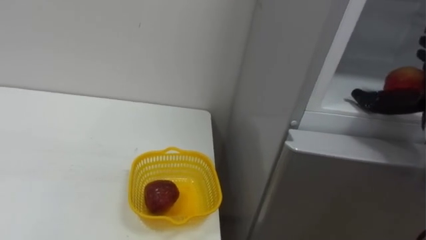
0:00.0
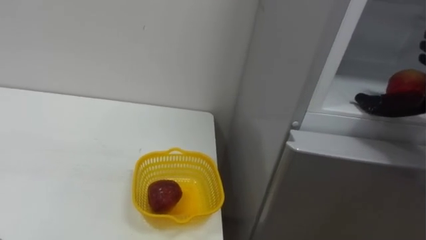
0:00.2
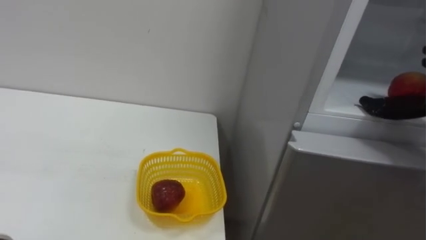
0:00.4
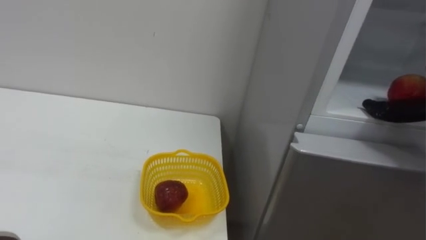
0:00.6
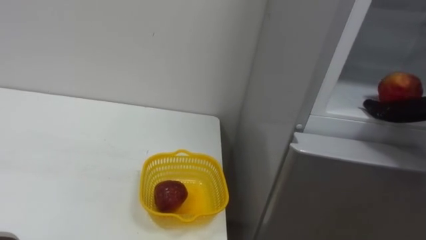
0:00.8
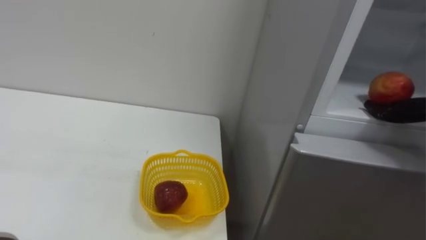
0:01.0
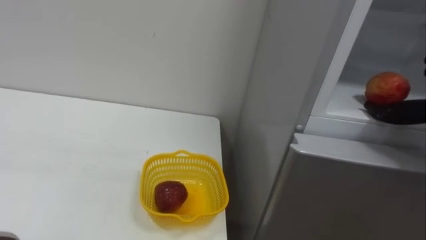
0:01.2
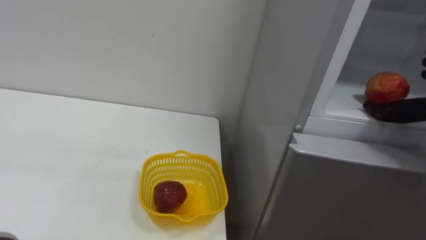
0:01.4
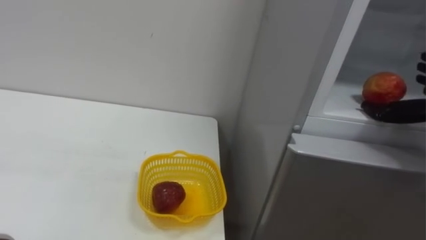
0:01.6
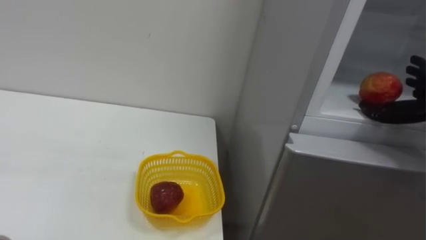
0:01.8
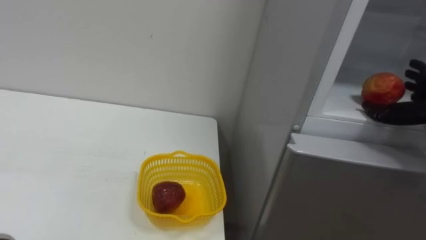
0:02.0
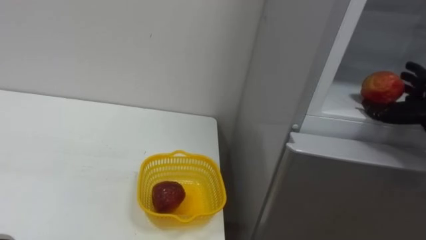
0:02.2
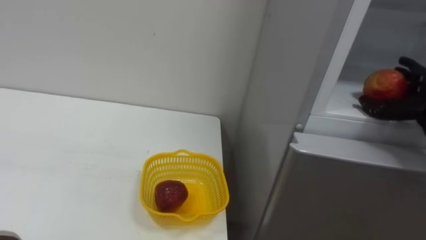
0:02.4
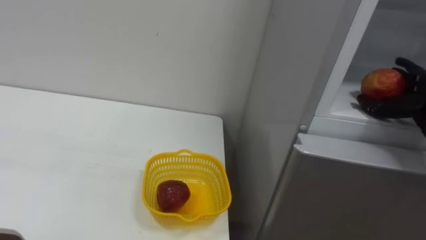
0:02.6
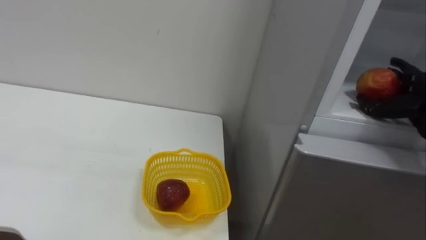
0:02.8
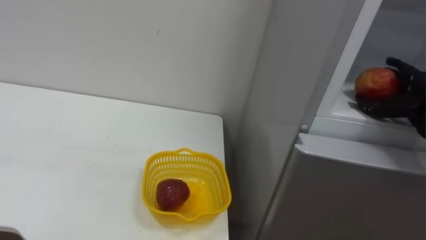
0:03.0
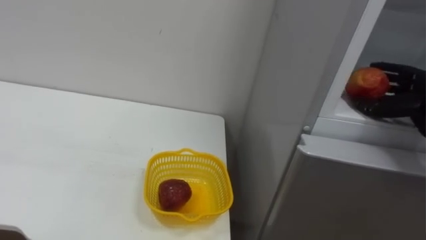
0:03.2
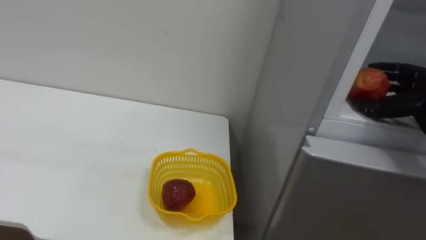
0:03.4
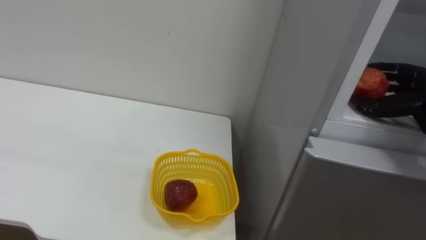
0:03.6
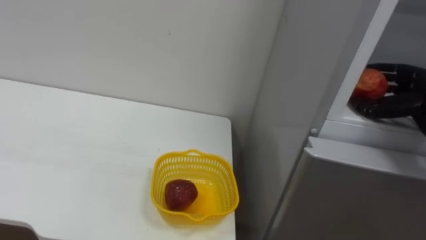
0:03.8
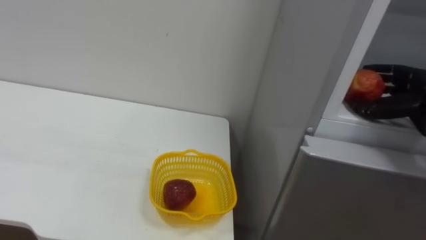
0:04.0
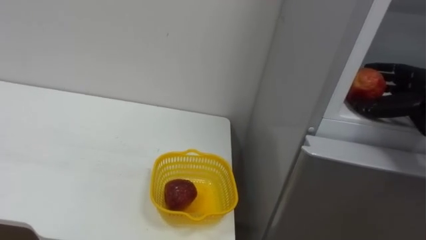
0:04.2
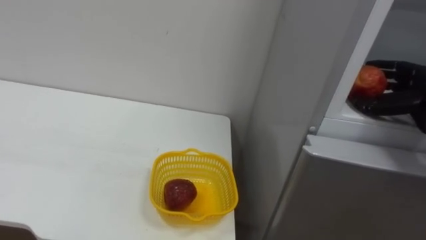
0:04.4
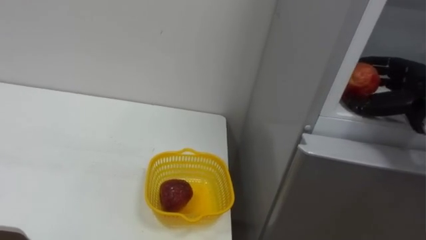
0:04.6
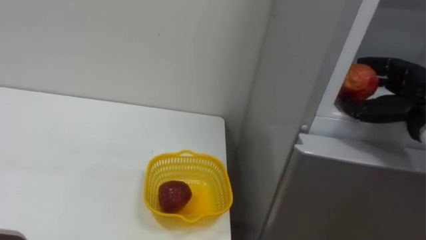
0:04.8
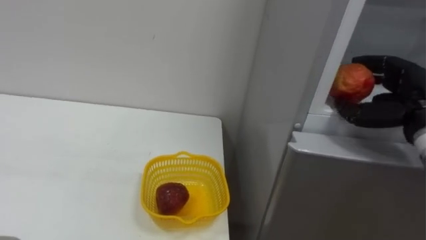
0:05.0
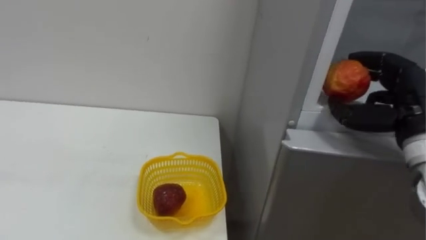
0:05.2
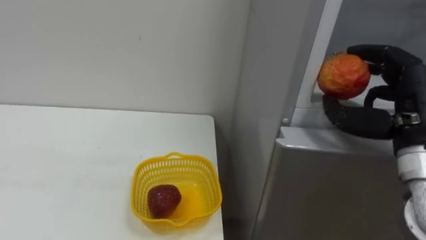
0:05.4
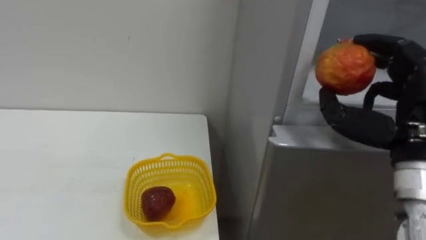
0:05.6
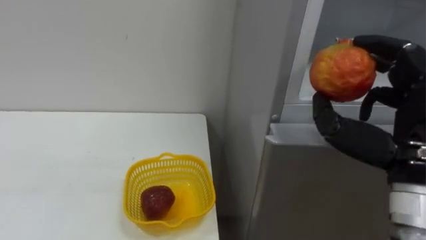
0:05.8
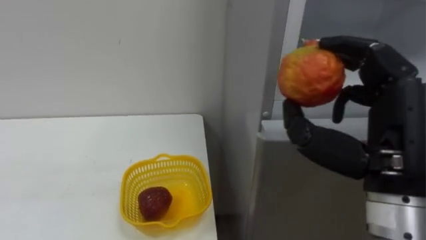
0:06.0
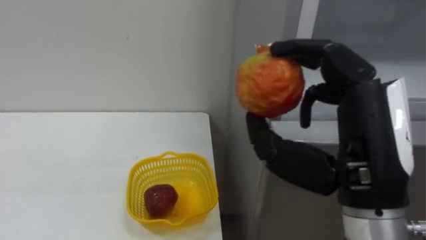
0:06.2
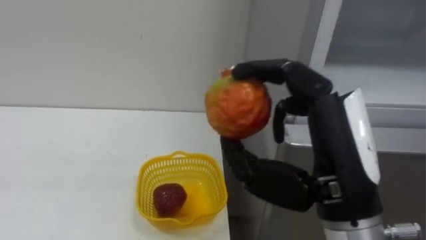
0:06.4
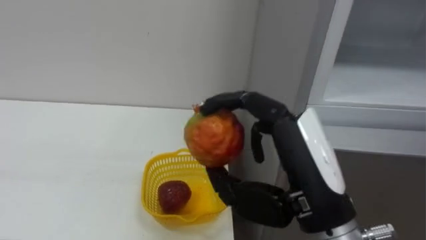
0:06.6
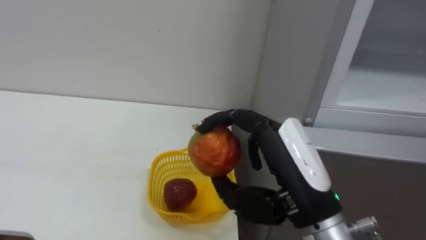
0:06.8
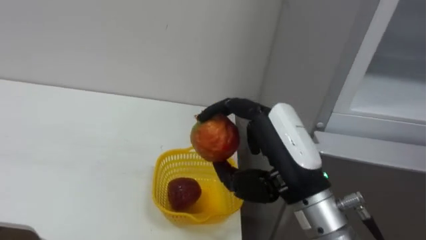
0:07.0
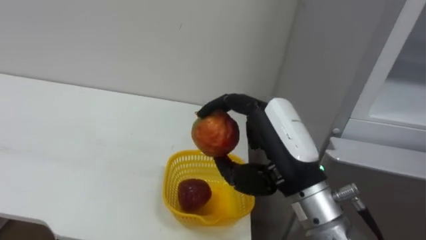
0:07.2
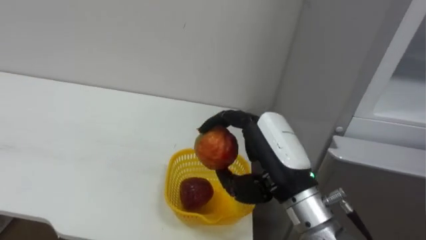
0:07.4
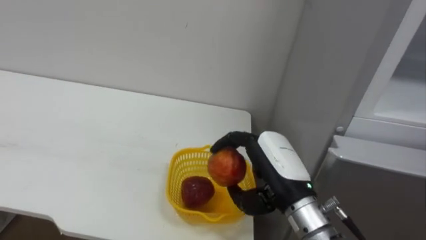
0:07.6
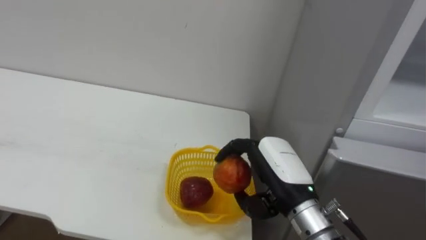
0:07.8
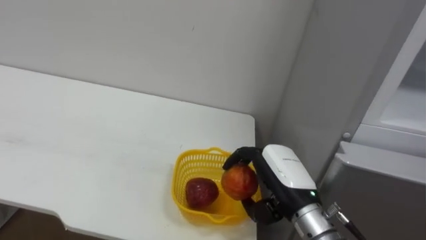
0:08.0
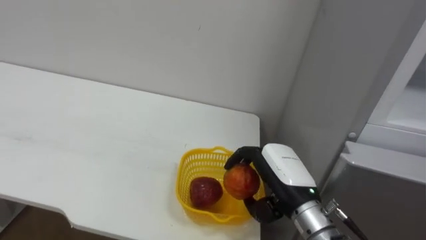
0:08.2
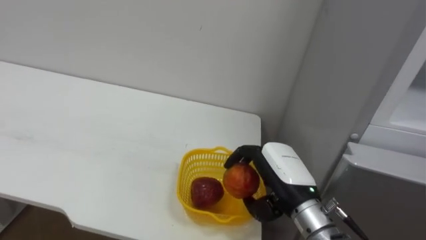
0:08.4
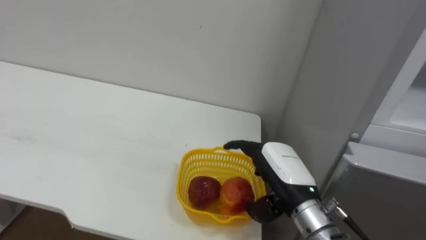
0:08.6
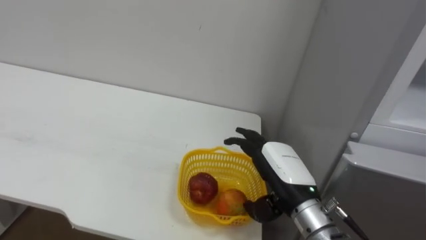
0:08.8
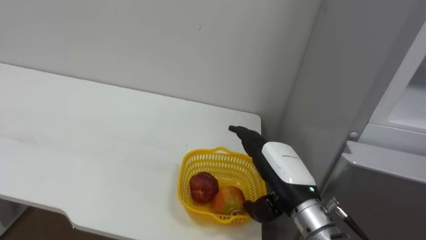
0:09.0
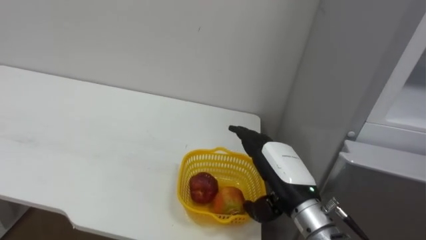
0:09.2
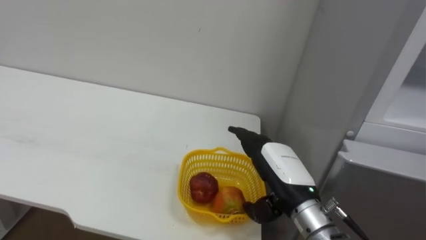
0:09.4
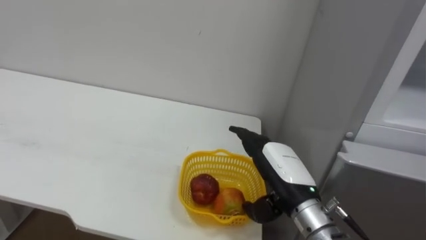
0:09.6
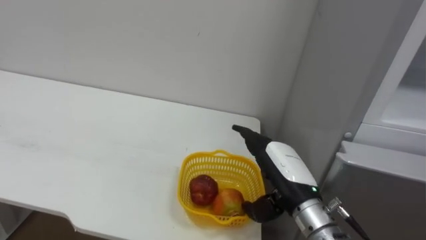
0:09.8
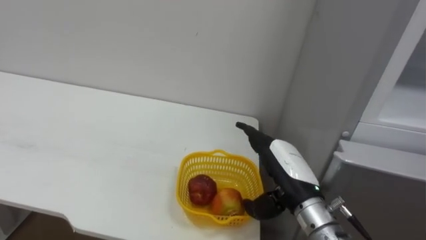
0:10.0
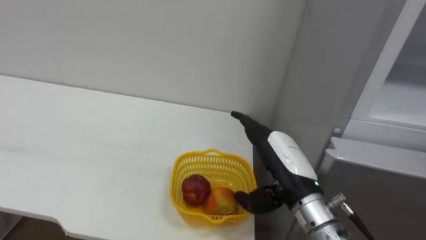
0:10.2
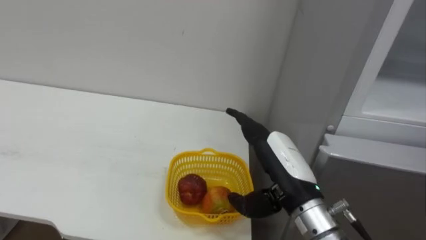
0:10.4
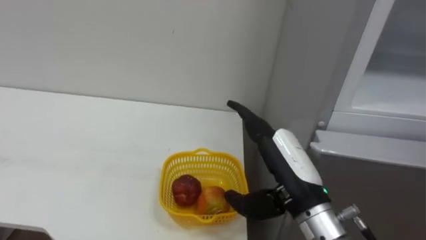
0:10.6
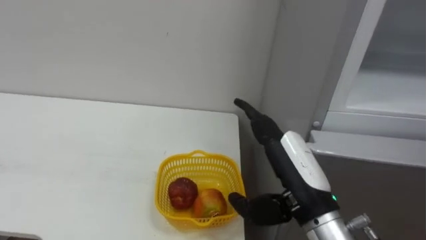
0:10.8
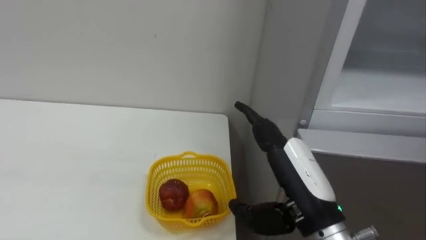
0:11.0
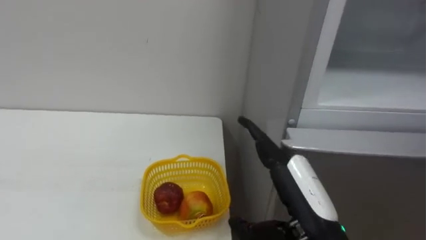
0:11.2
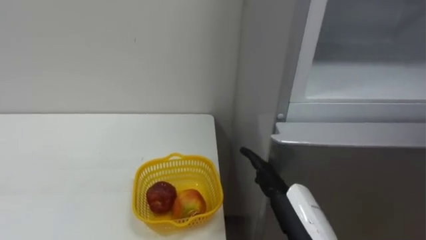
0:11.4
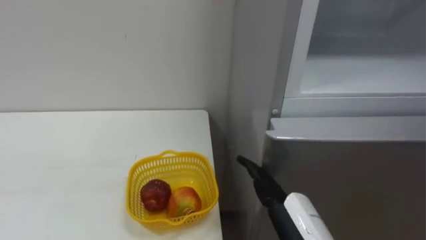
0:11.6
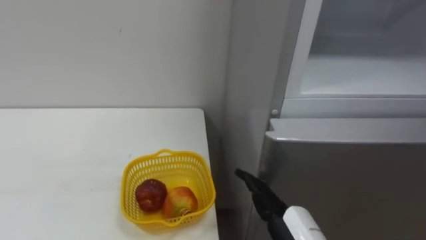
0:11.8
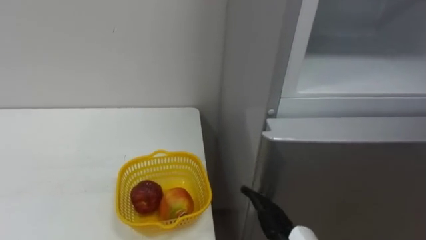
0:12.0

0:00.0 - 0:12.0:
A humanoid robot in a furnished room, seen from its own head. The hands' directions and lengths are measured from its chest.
Task of the whole recording: Open the refrigerator door, take out the apple and the pomegranate, place them in the fruit basket on the left, and close the refrigerator door.
0:03.0 - 0:04.4: The right hand closes its fingers.
0:04.4 - 0:06.0: The right hand travels backward and to the left by roughly 20 cm.
0:06.0 - 0:07.6: The right hand moves downward, to the left and forward, roughly 15 cm.
0:07.6 - 0:09.0: The right hand opens up.

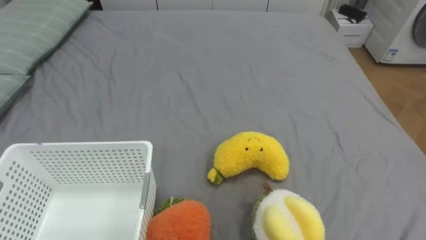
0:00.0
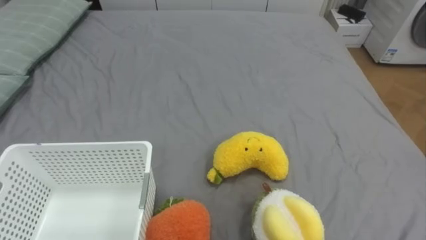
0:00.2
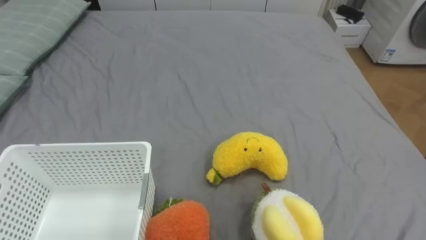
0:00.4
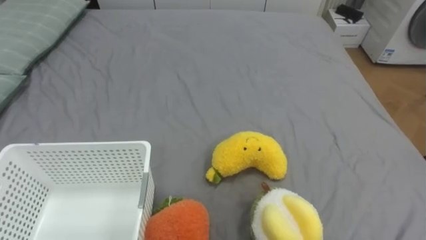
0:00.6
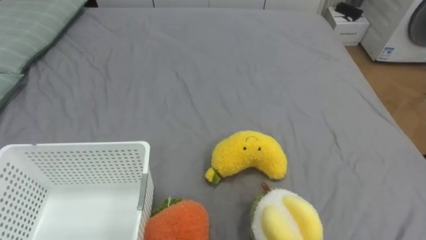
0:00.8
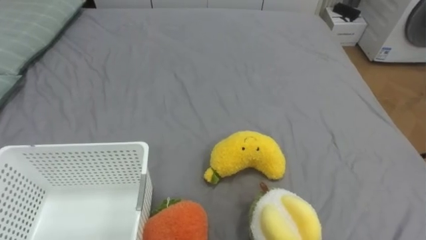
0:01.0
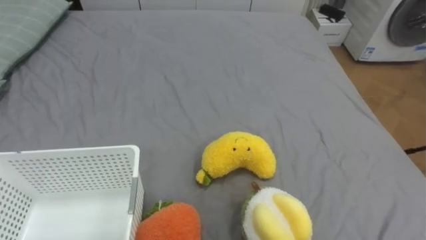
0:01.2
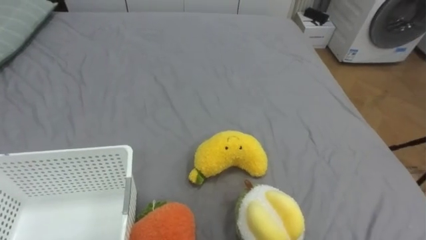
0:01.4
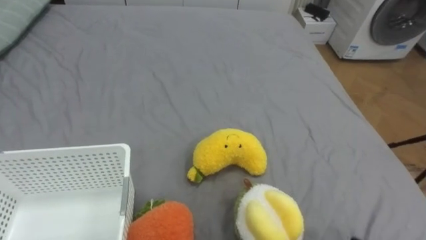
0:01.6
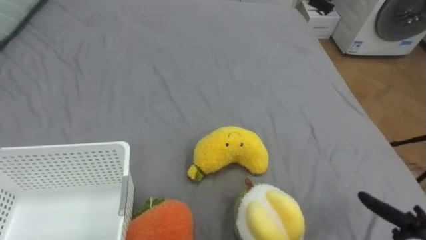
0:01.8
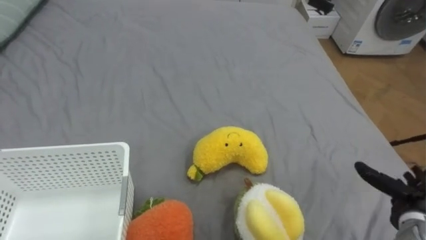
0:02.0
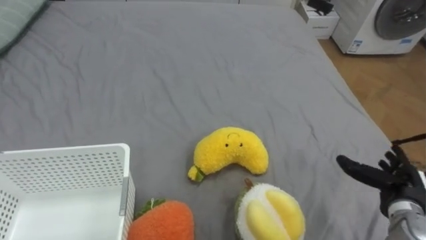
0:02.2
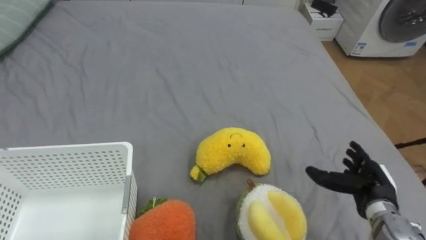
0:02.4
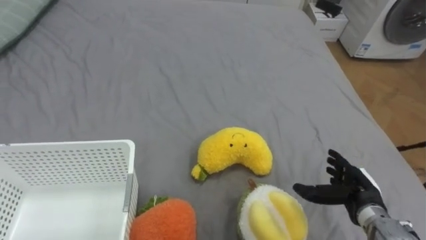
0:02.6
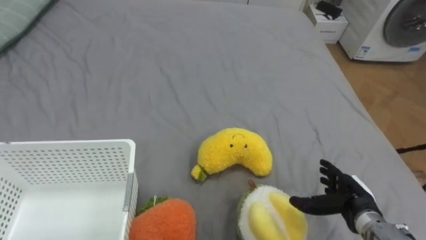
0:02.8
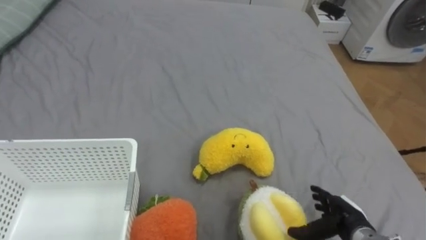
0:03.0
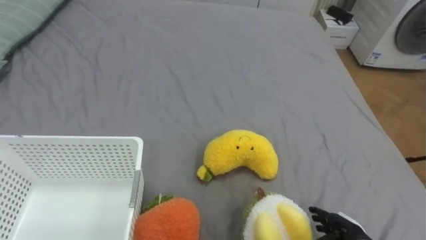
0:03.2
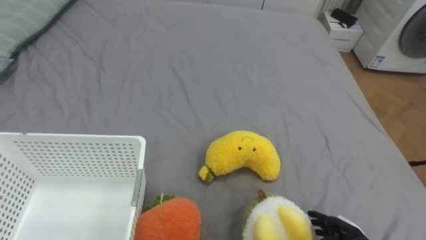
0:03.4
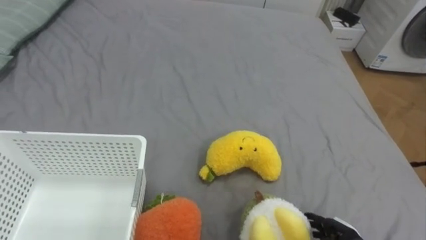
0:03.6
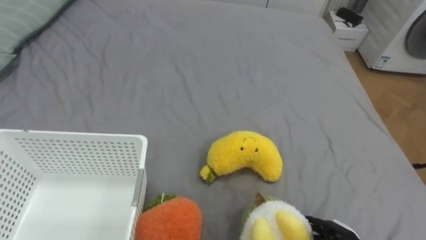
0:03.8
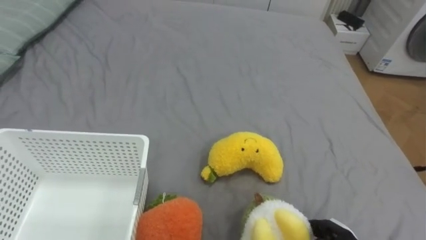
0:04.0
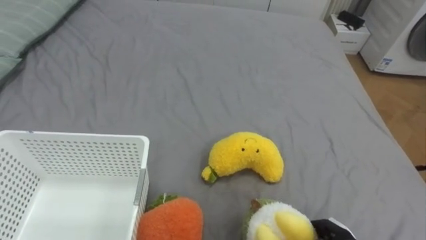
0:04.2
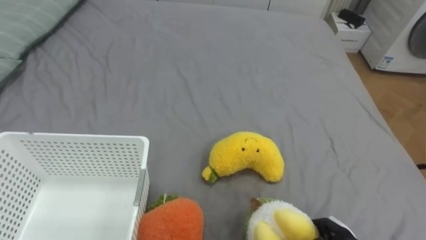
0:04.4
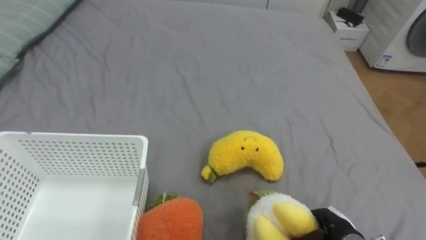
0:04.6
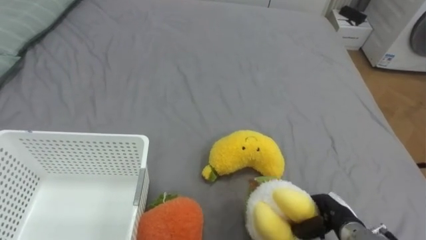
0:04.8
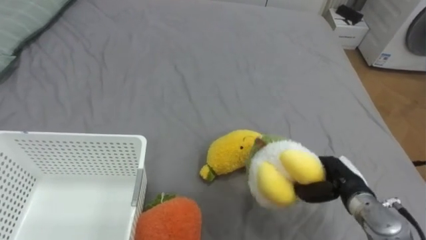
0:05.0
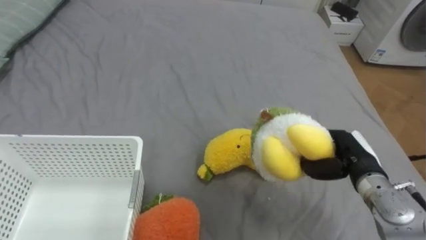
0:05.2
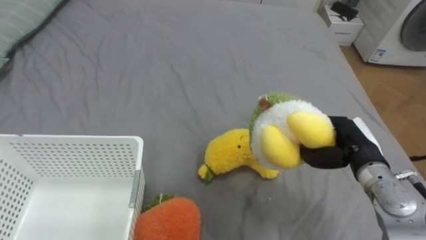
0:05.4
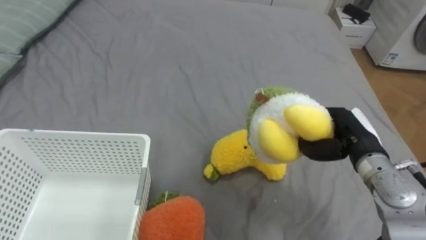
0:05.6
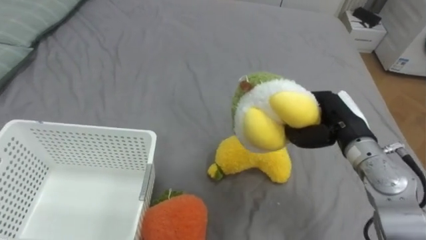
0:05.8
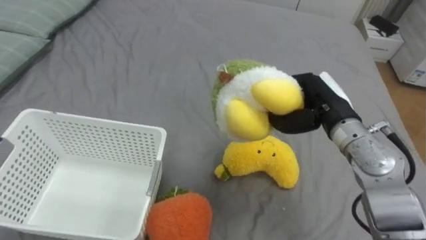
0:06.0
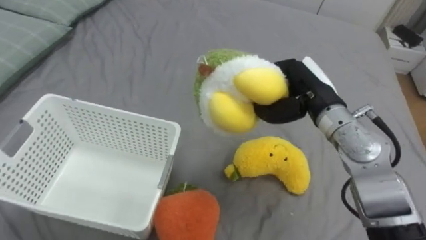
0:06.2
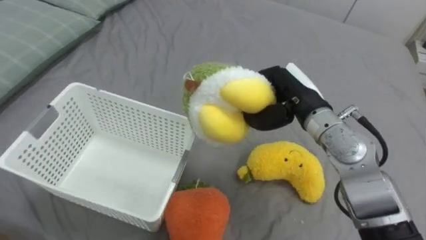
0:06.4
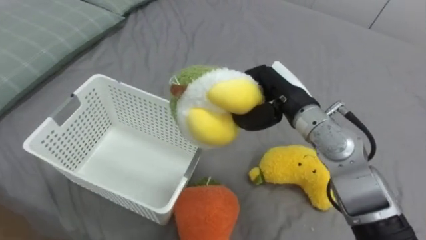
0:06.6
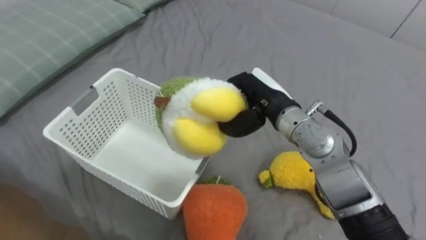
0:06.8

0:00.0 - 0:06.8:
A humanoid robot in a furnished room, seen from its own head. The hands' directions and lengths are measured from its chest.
Task of the whole recording: Put the toys on the bed into the basket on the left.
0:04.0 - 0:05.4: The right hand goes about 20 cm upward and forward, and closes.
0:05.4 - 0:06.8: The right hand moves to the left and upward, roughly 20 cm.
